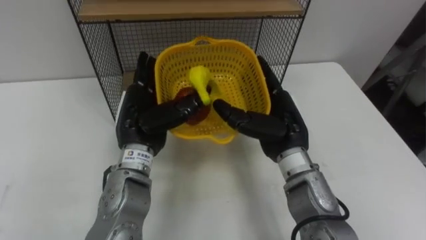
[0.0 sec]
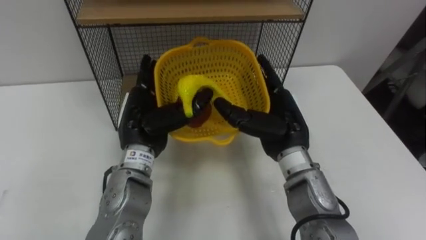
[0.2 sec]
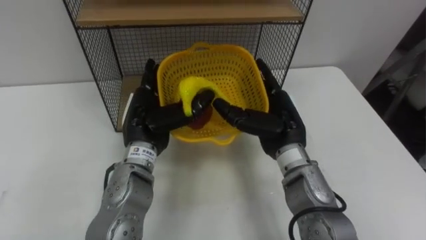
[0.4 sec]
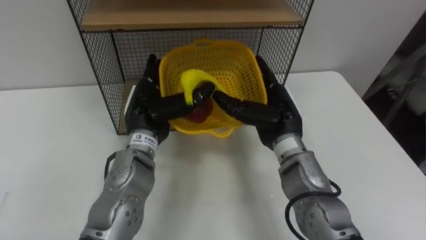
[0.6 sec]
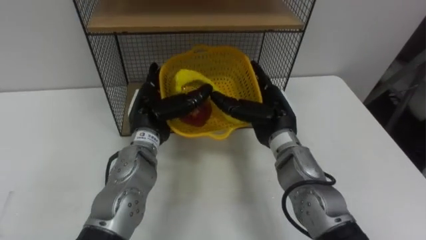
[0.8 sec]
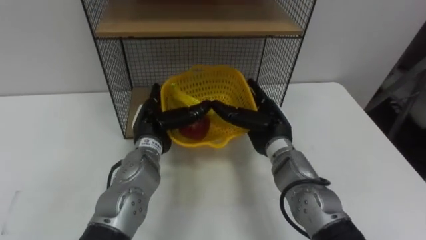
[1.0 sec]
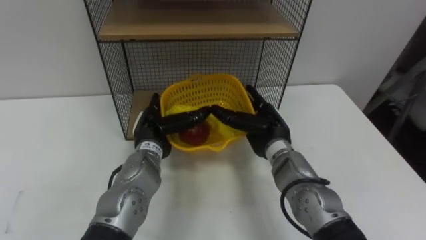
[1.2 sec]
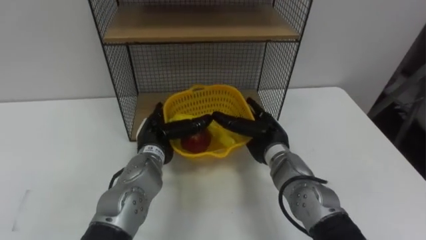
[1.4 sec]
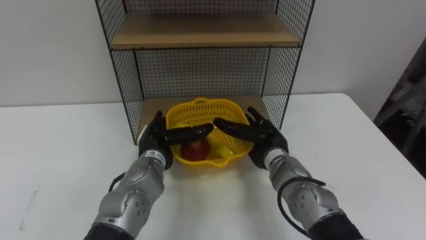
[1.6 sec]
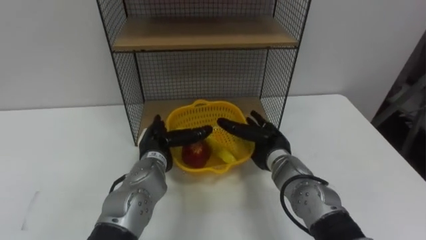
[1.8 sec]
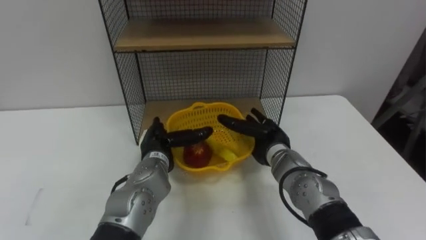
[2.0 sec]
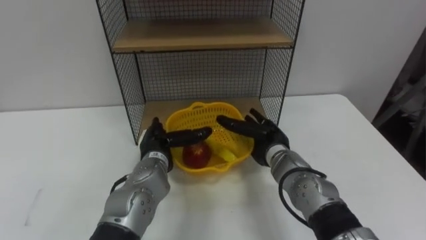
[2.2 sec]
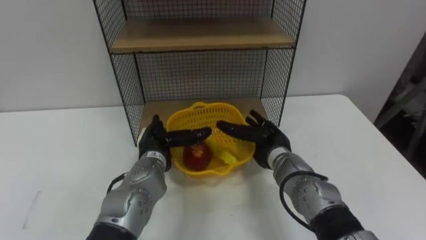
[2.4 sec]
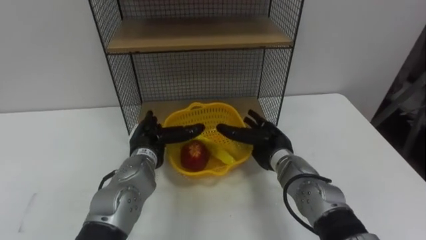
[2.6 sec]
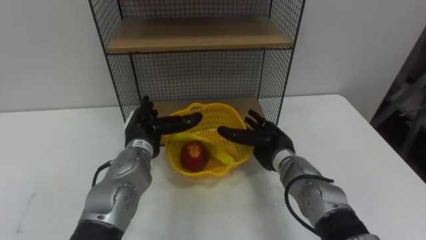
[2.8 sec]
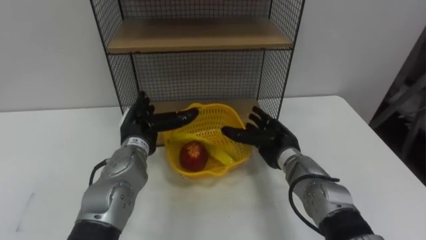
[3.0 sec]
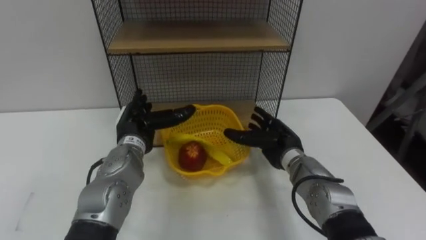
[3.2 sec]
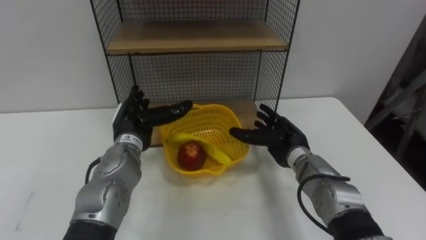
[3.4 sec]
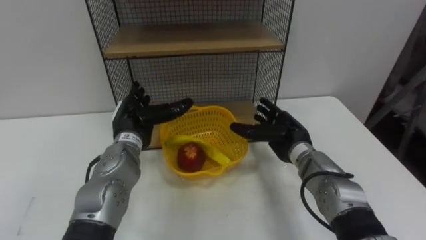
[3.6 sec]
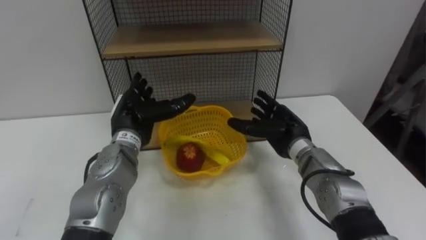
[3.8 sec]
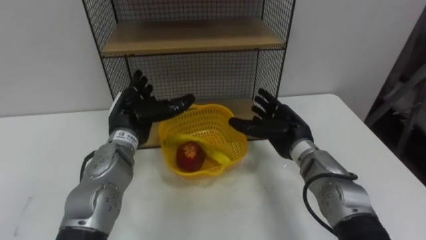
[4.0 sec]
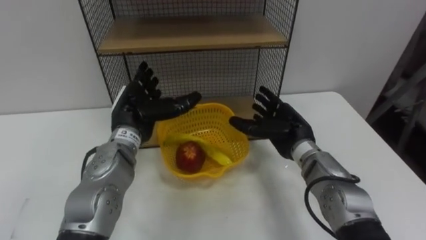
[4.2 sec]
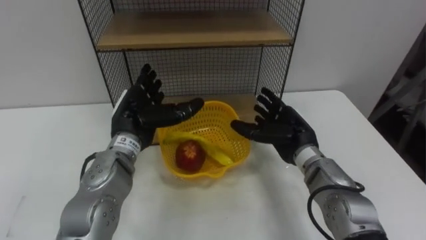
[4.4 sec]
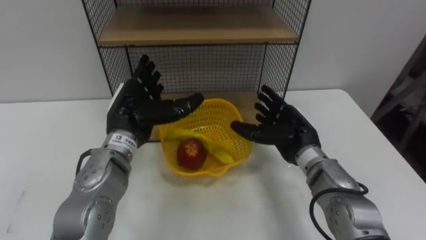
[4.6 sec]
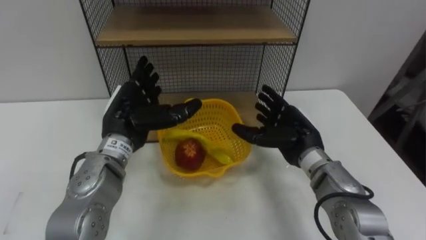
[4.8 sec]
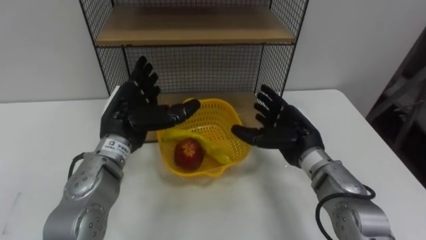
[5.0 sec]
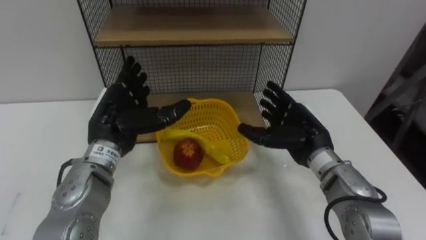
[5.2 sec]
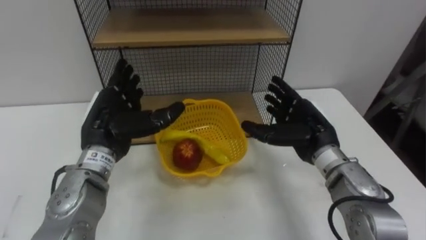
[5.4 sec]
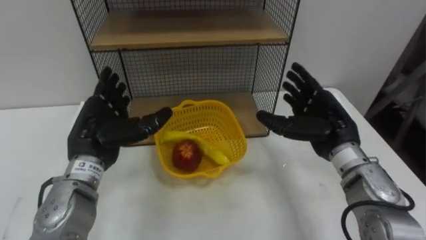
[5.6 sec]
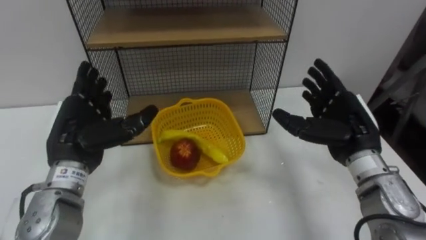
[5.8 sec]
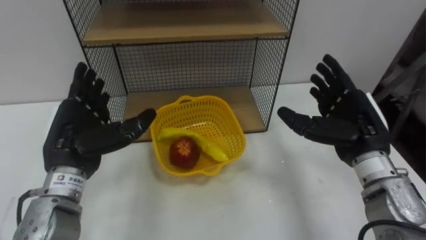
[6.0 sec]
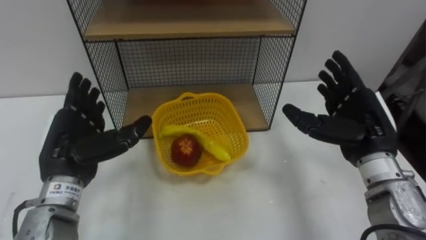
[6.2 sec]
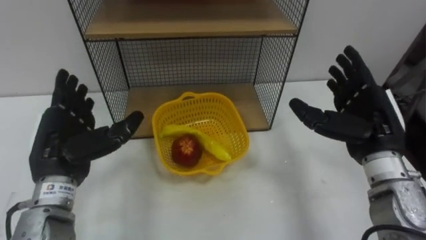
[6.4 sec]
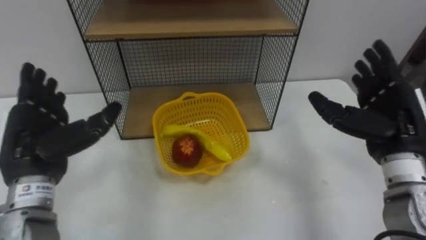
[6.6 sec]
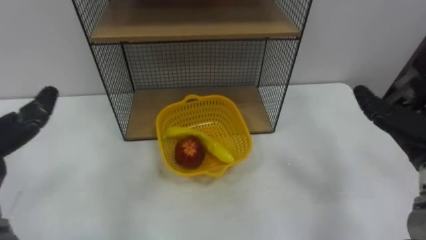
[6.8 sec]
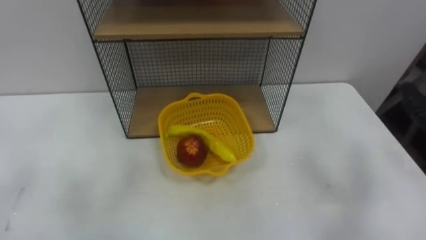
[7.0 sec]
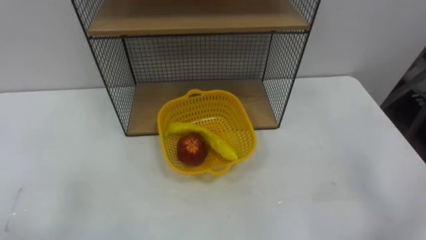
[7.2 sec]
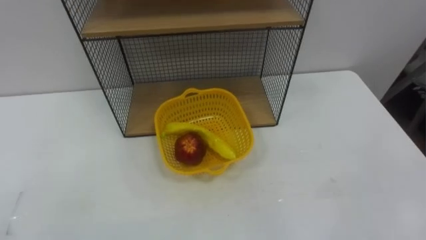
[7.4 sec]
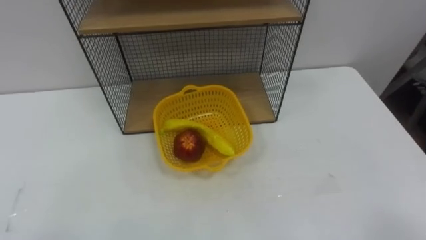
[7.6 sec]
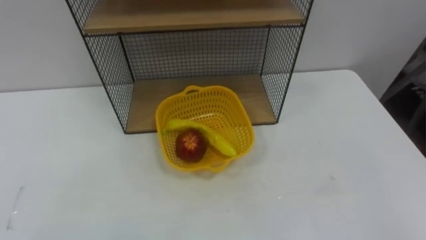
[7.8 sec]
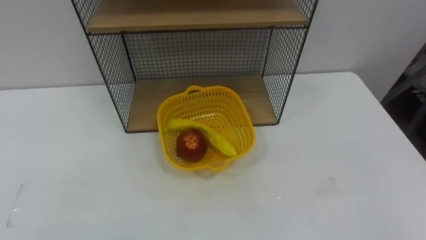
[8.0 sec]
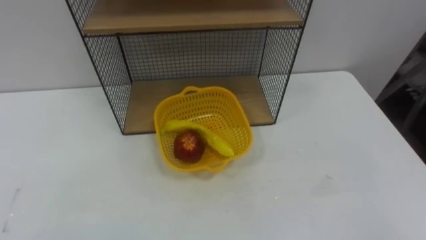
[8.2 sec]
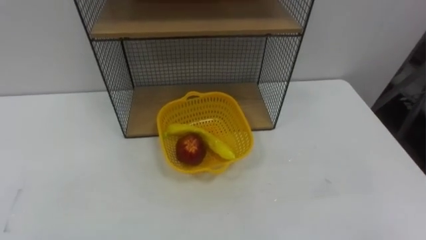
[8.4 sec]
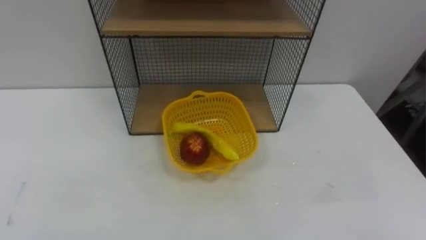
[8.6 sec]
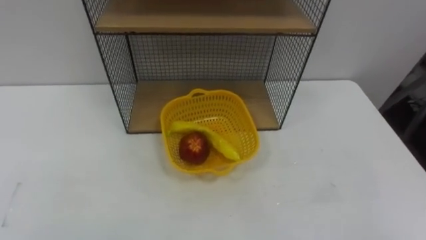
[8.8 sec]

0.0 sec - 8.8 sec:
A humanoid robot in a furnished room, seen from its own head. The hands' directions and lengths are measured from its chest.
Task of the whole recording: Put the fruit on the table into the basket, then place the basket on the shelf.
0.0 sec - 1.4 sec: The two hands go about 10 cm downward.
3.0 sec - 4.4 sec: The right hand changes place by about 5 cm. The left hand is displaced upward by some 5 cm.
4.4 sec - 5.8 sec: The right hand goes about 10 cm to the right and upward; the left hand heads to the left and backward, covering about 10 cm.
